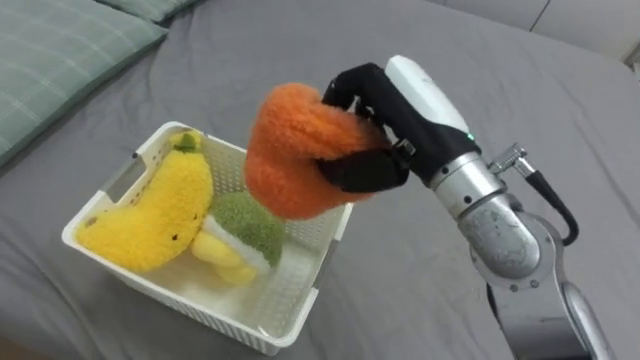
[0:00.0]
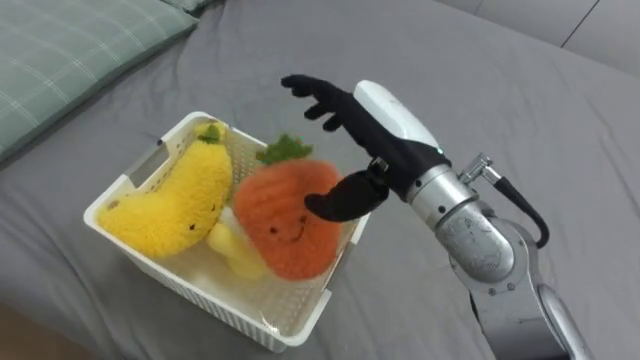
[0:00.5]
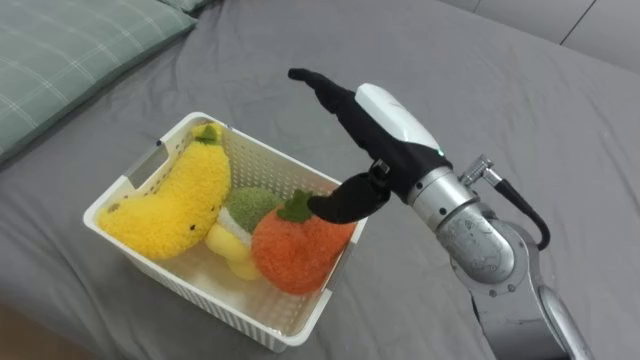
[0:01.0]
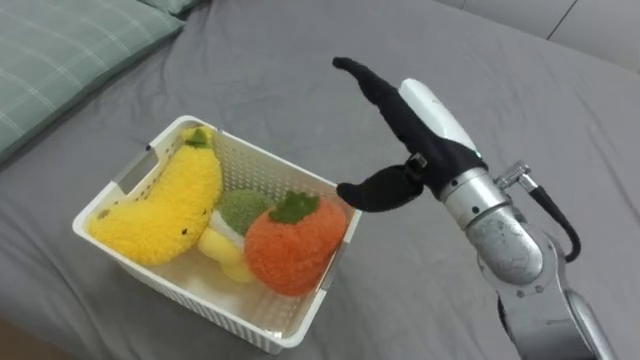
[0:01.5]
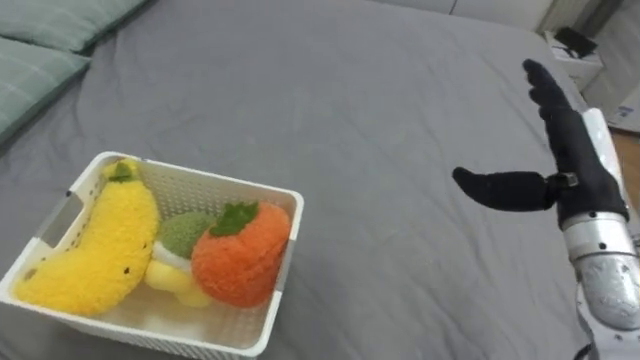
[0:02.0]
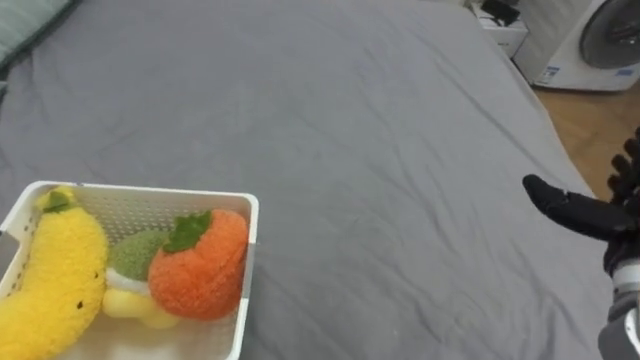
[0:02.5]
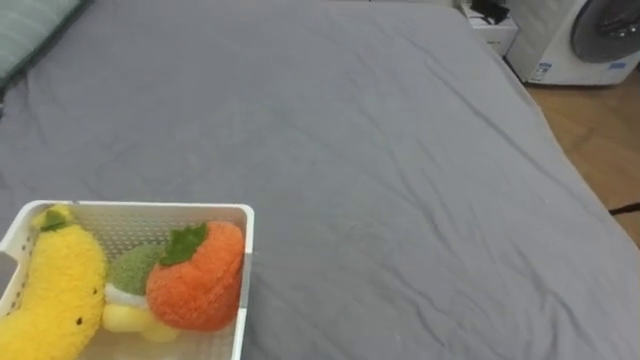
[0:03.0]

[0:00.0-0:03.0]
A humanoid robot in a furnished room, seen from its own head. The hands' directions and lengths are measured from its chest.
Task of the whole recording: Put the toys on the bed into the basket on the left.
0:00.0 to 0:01.5: The right hand opens its fingers.

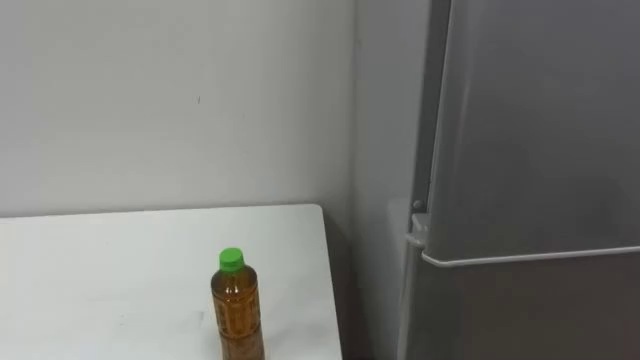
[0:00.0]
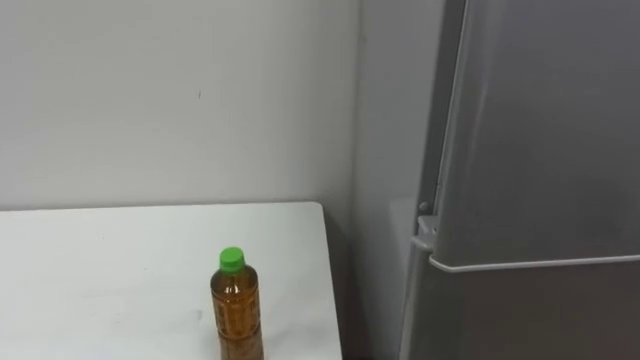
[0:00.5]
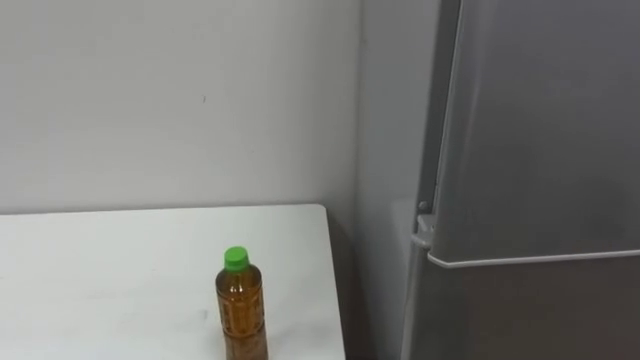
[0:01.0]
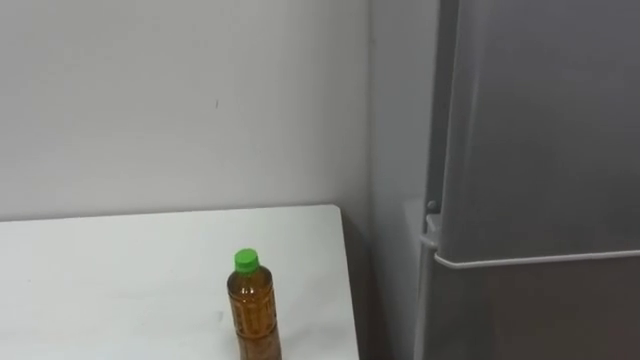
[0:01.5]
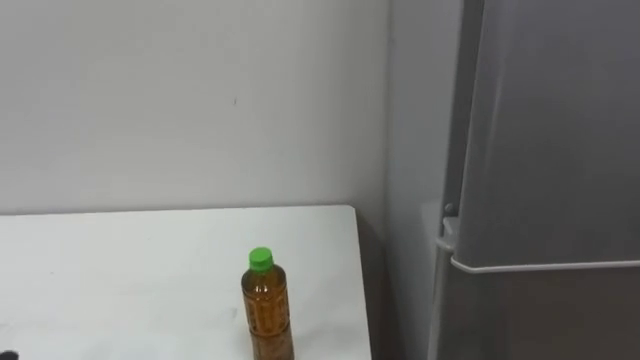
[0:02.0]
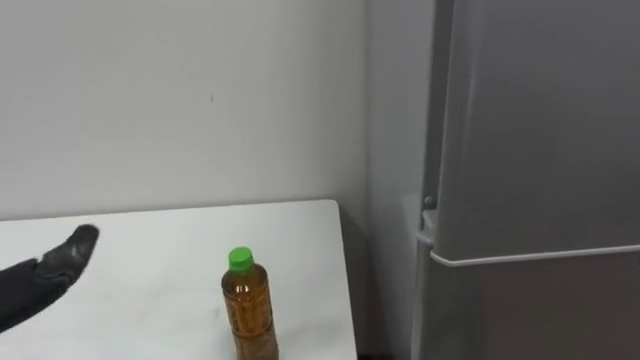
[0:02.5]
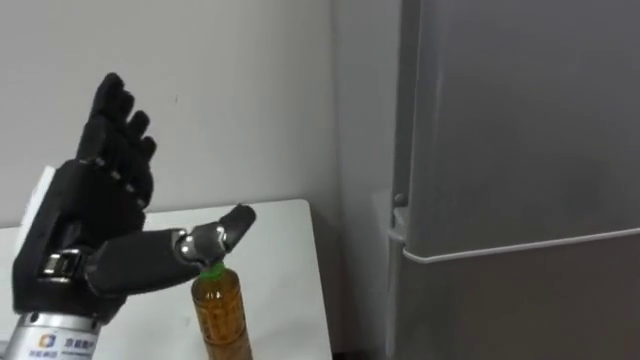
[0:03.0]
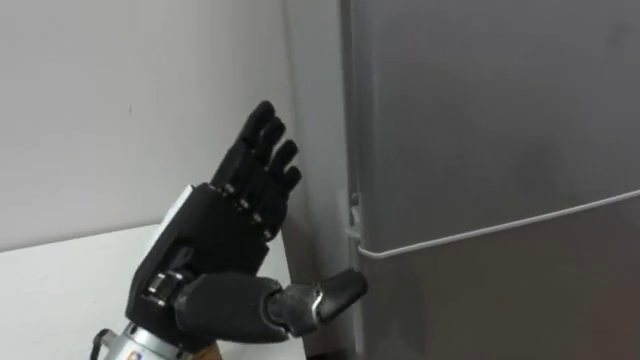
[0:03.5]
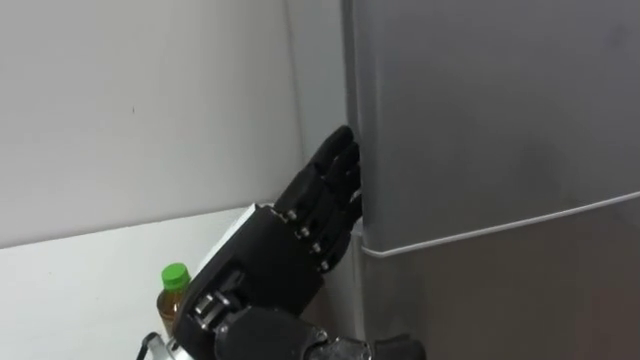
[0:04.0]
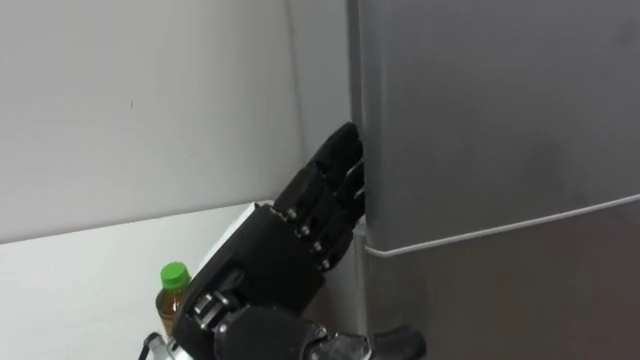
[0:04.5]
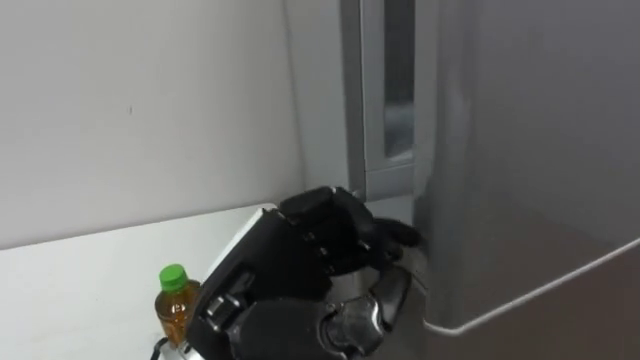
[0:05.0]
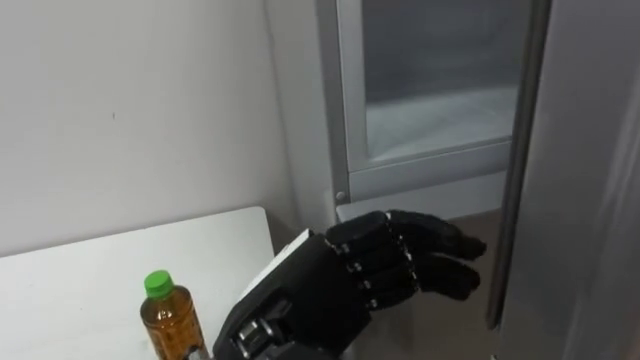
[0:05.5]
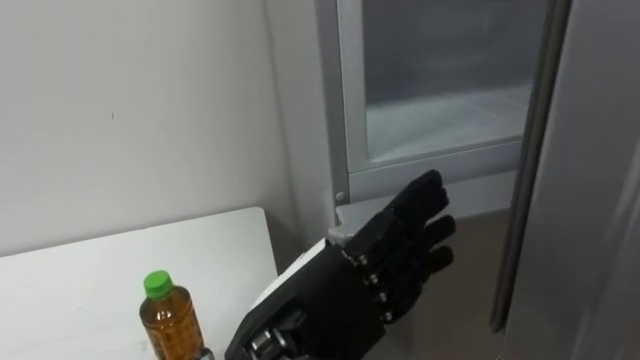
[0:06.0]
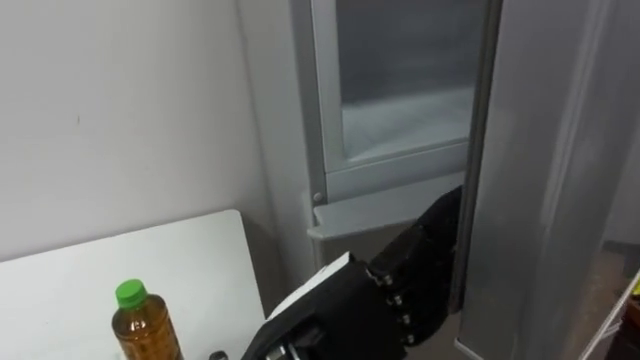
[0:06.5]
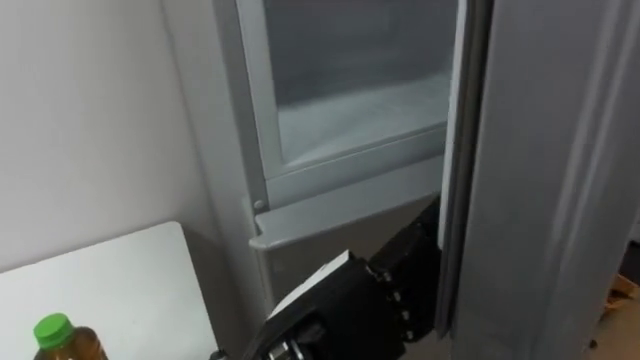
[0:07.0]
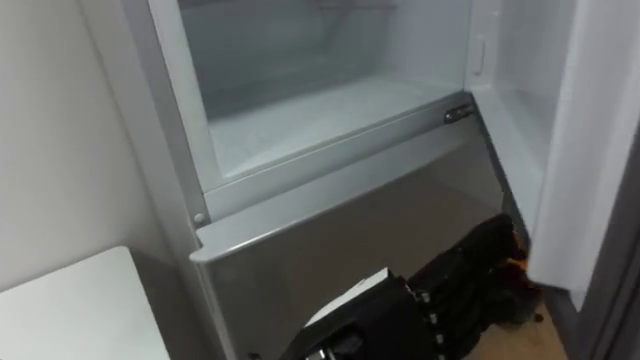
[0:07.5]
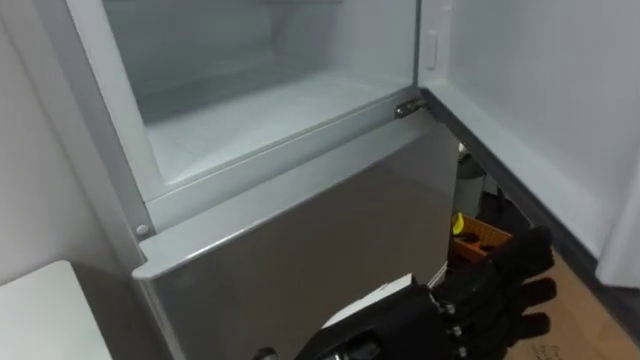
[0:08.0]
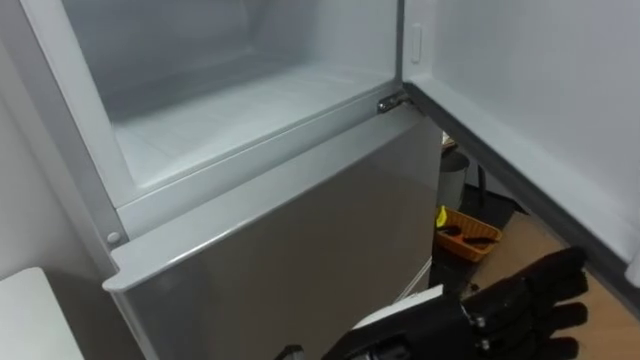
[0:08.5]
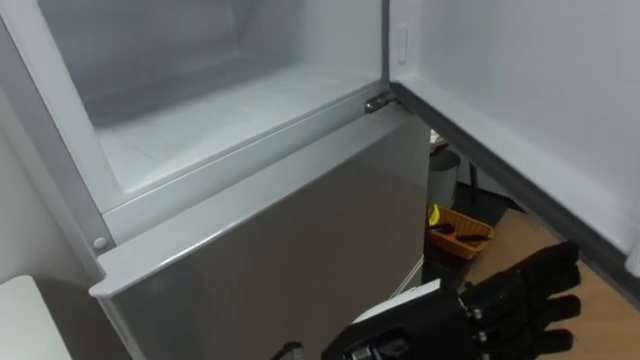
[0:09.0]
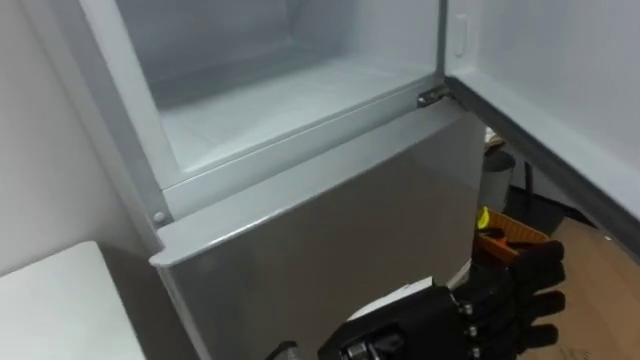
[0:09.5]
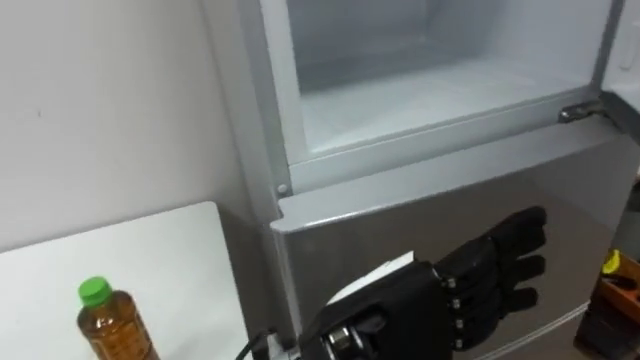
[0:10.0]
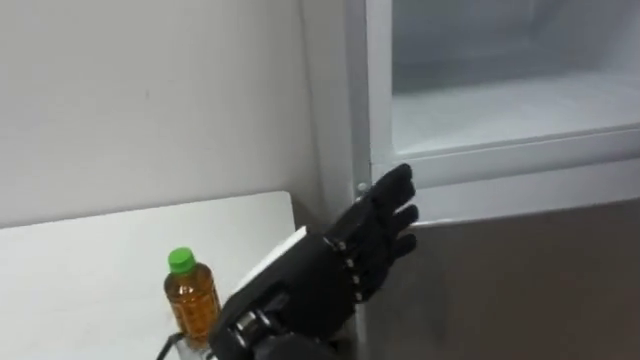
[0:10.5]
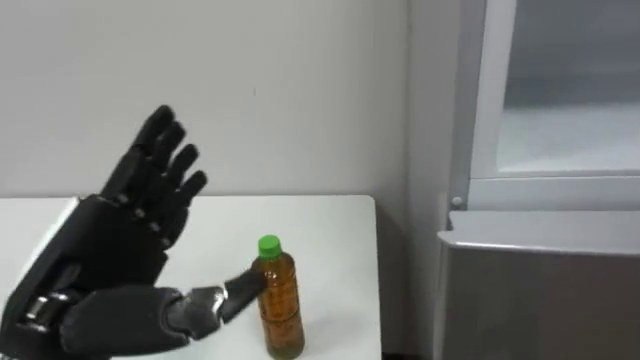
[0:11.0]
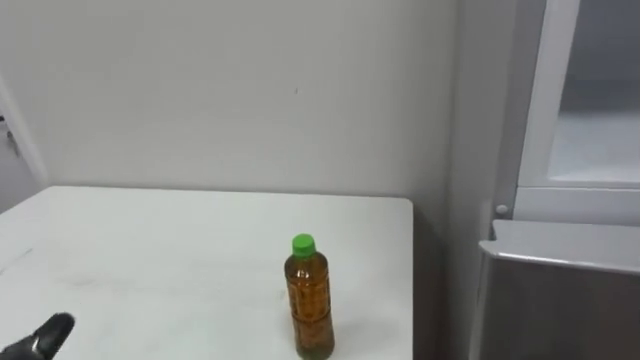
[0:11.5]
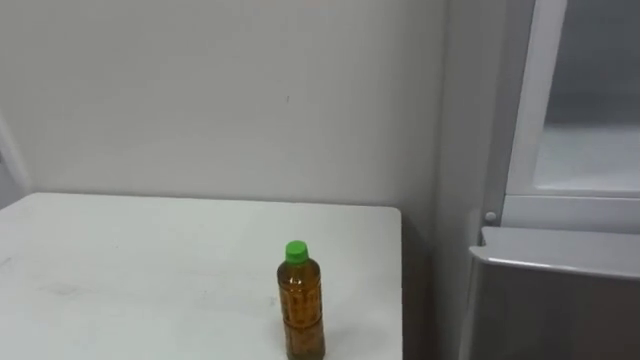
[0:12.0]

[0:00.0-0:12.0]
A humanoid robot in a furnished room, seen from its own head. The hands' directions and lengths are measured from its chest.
Task of the whole recording: Open the upper refrigerator door, put the drink from the table into the refrigerator, and then close the refrigerator door.
0:04.0 to 0:06.0: The left hand closes, then opens again.
0:06.0 to 0:08.0: The robot's body swings some 20 degrees to its right. The left hand changes place by about 5 cm.

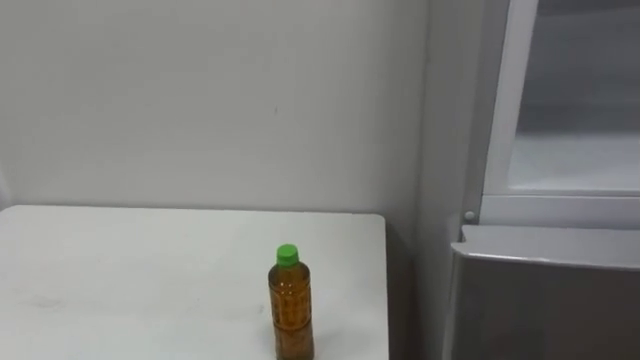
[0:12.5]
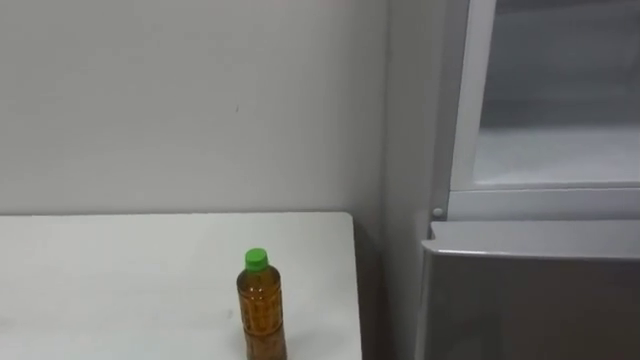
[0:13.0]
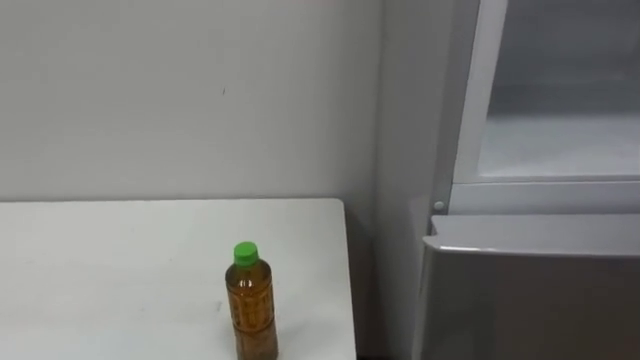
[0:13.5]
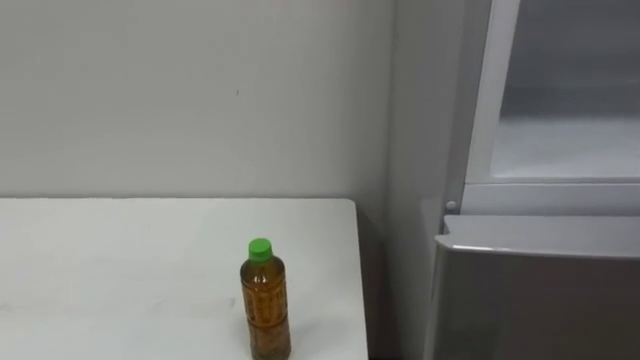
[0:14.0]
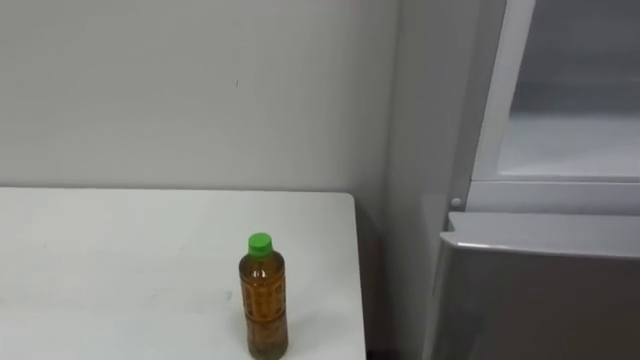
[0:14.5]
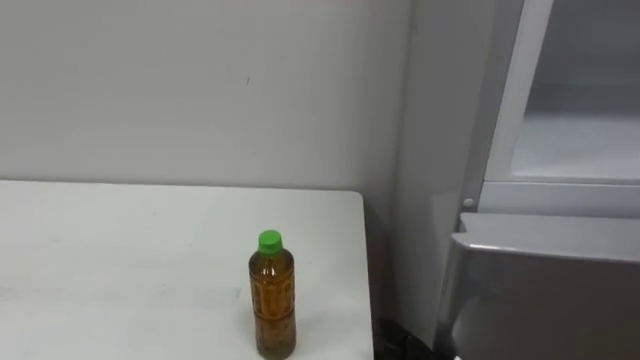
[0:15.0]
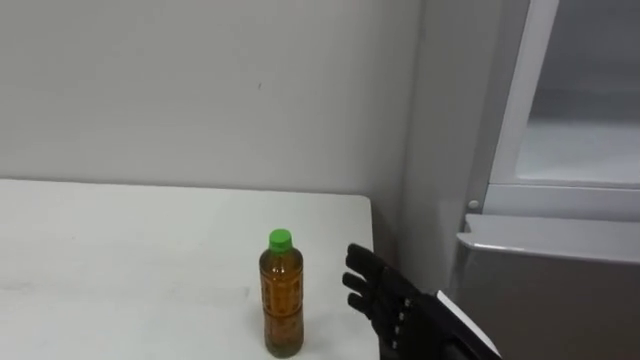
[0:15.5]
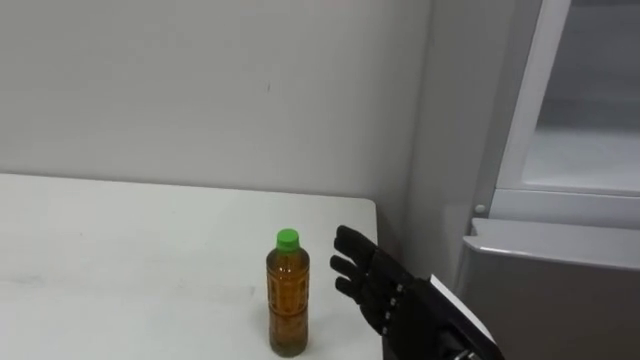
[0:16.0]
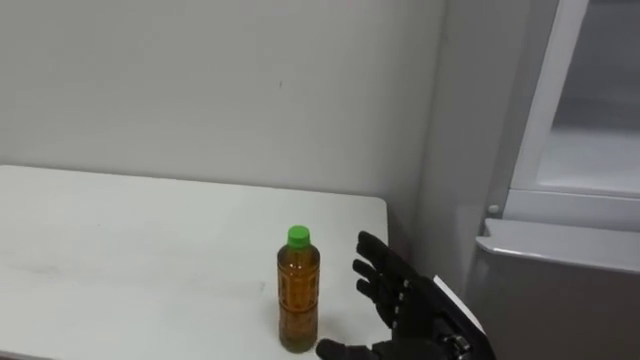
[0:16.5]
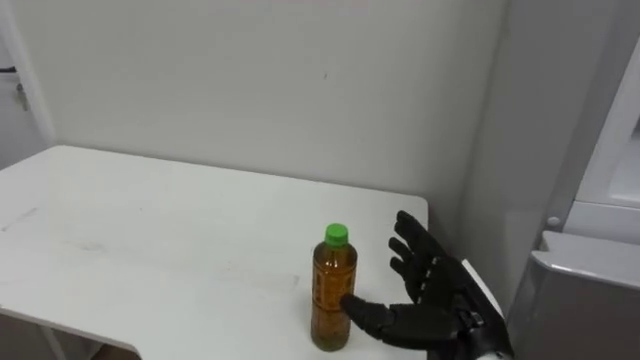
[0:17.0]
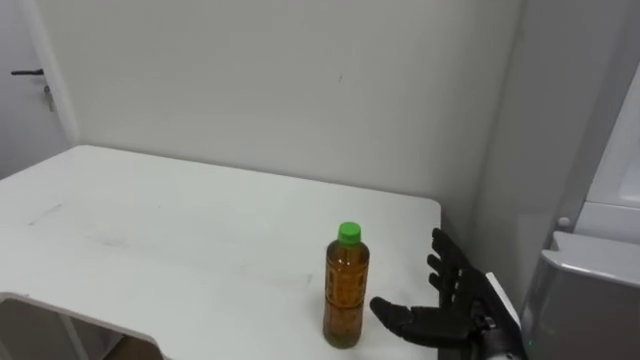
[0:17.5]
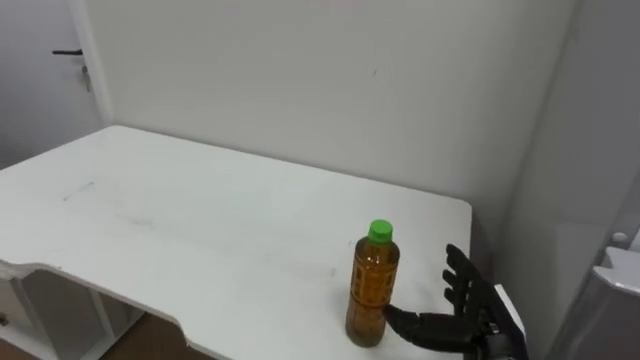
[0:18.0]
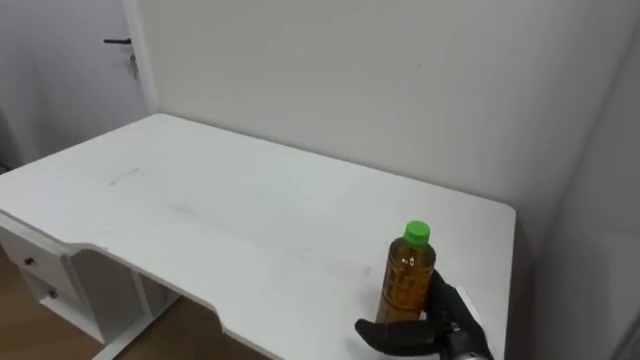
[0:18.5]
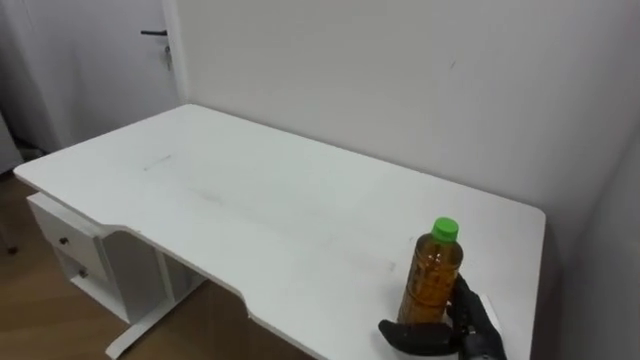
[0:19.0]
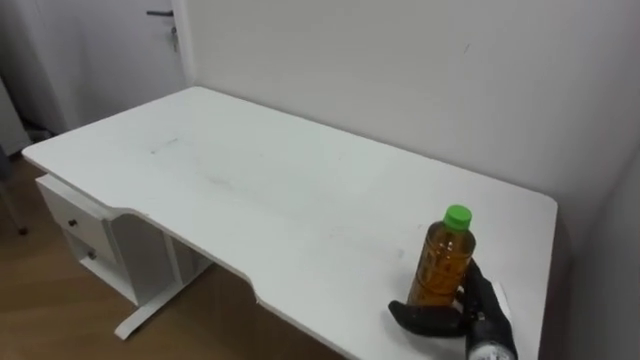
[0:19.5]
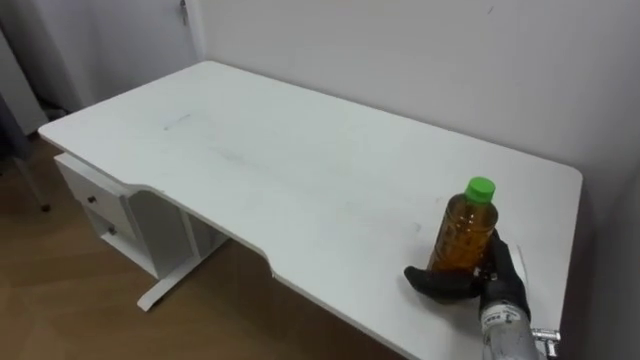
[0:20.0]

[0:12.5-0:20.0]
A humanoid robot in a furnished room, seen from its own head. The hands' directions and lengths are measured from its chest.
Task of the whole recording: Open the upper refrigerator door, put the drink from the table into the refrigerator, and then close the refrigerator door.
0:16.5 to 0:18.0: The right hand heads to the right and downward, covering some 10 cm.
0:18.0 to 0:20.0: The right hand shifts roughly 5 cm forward.
